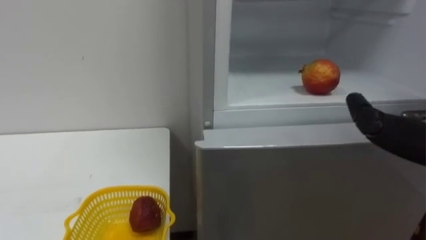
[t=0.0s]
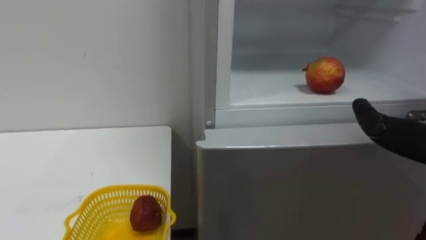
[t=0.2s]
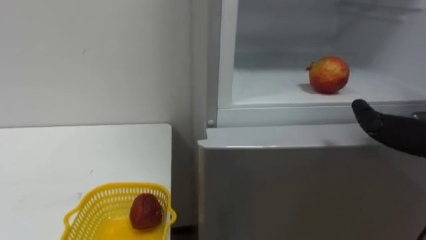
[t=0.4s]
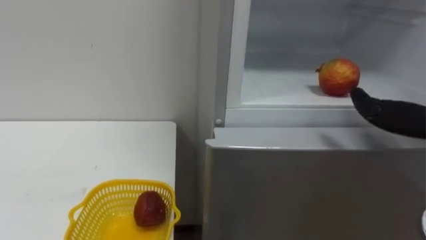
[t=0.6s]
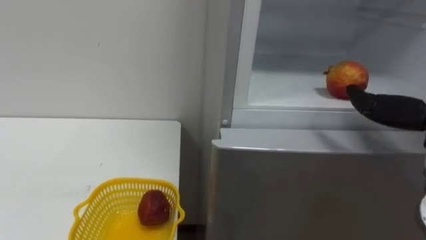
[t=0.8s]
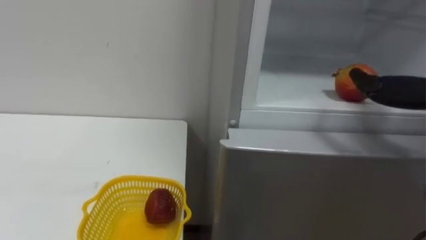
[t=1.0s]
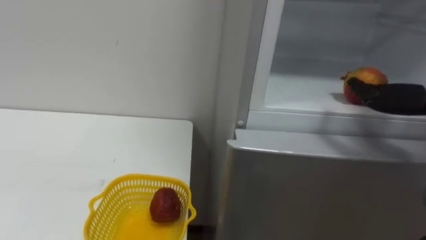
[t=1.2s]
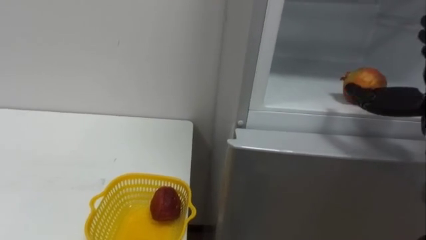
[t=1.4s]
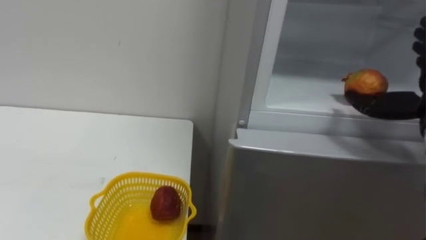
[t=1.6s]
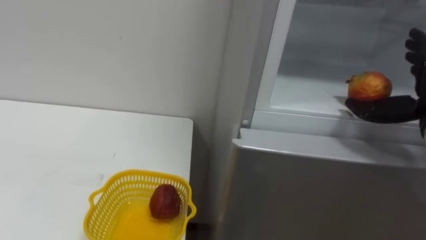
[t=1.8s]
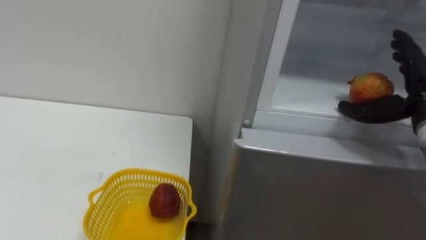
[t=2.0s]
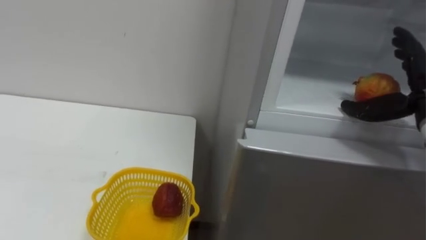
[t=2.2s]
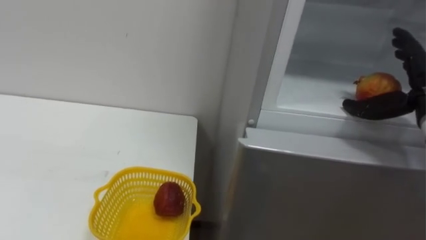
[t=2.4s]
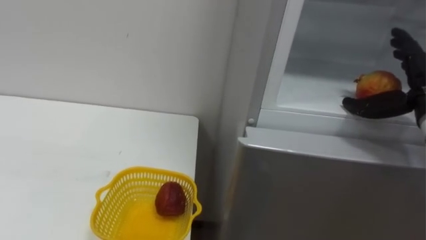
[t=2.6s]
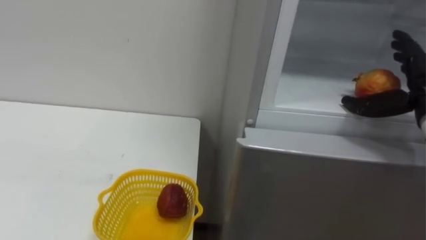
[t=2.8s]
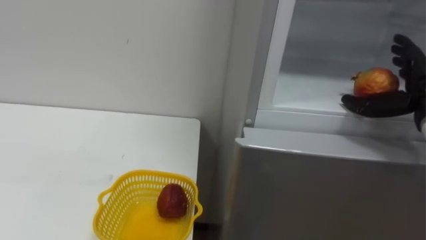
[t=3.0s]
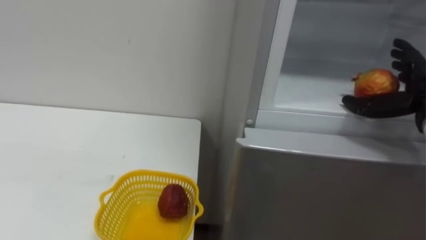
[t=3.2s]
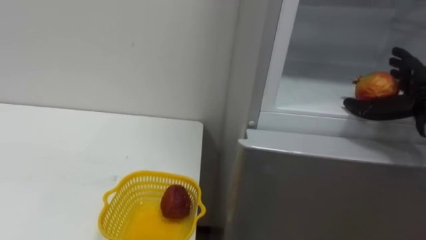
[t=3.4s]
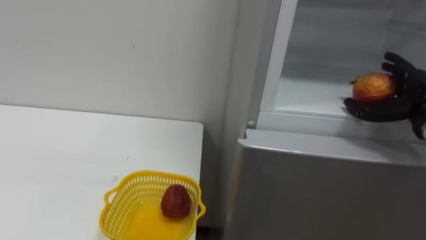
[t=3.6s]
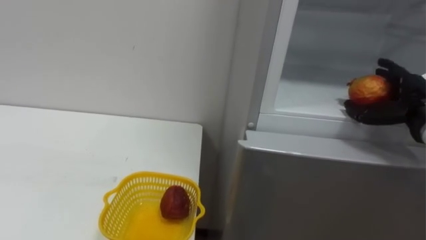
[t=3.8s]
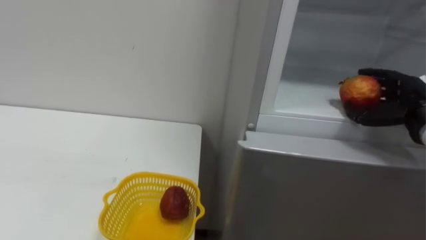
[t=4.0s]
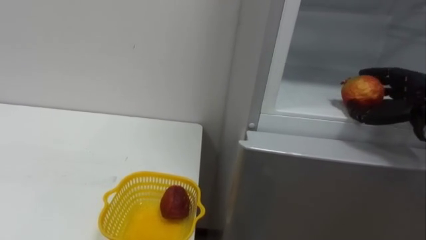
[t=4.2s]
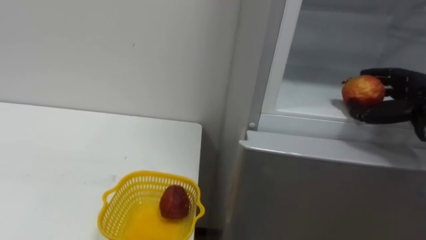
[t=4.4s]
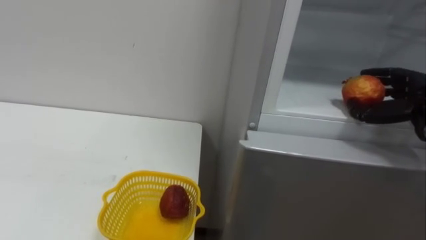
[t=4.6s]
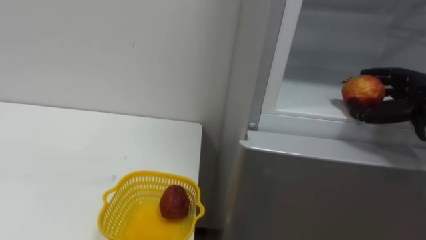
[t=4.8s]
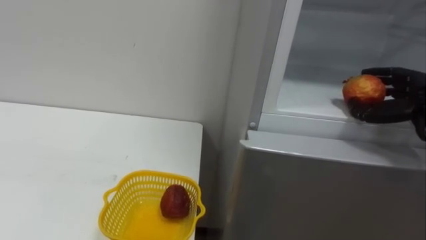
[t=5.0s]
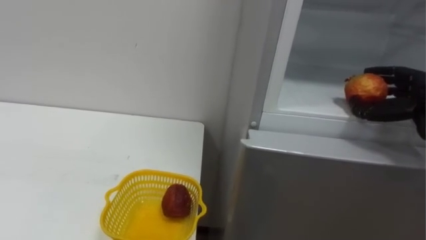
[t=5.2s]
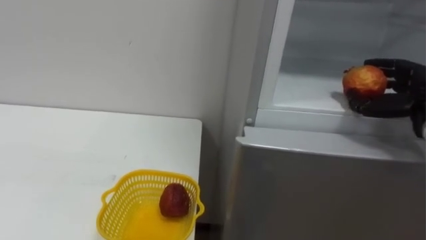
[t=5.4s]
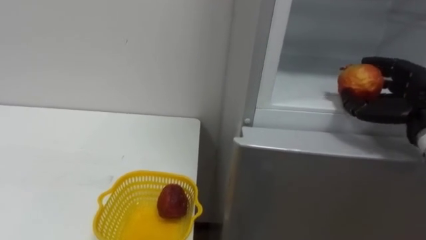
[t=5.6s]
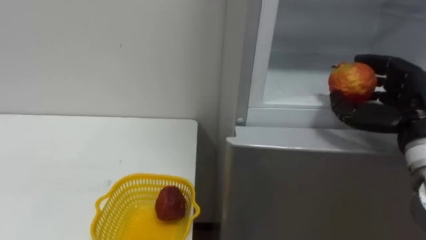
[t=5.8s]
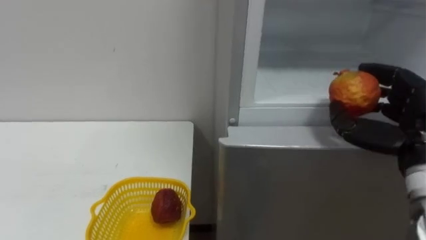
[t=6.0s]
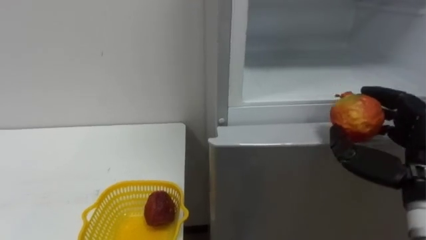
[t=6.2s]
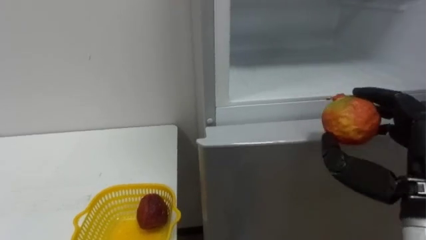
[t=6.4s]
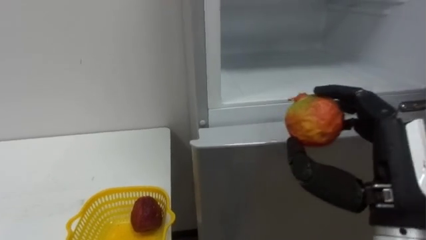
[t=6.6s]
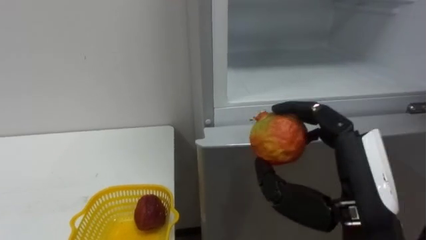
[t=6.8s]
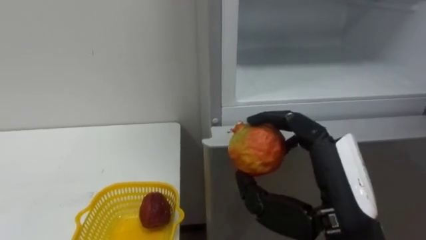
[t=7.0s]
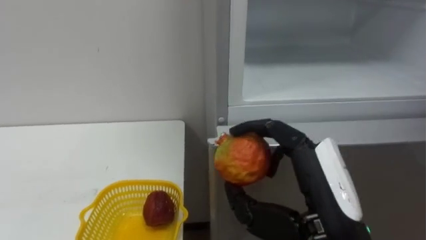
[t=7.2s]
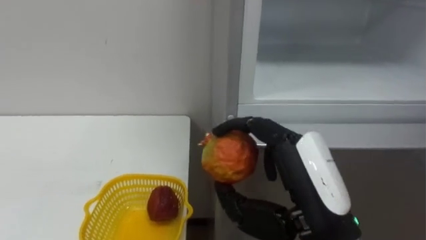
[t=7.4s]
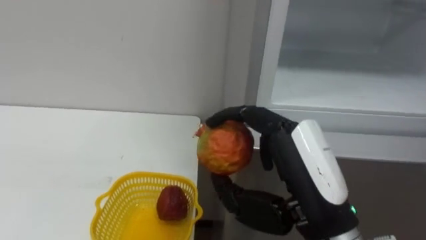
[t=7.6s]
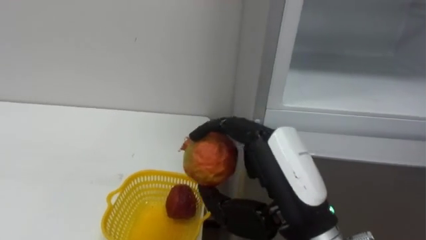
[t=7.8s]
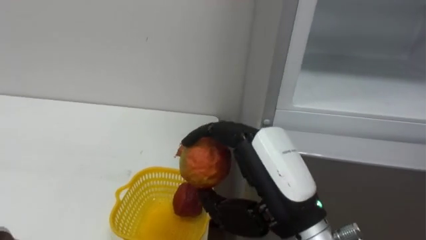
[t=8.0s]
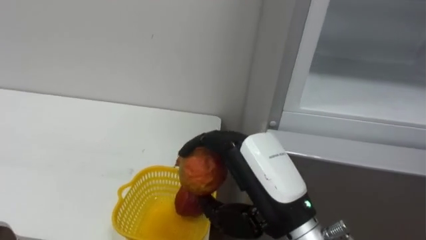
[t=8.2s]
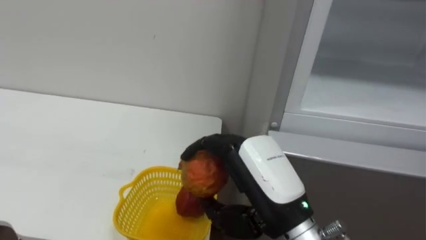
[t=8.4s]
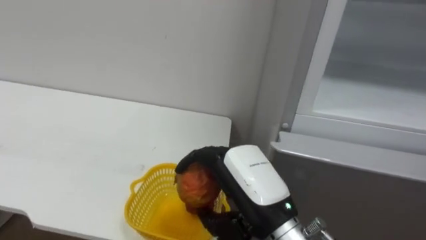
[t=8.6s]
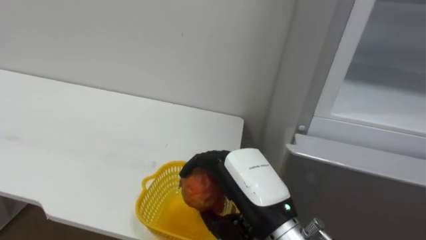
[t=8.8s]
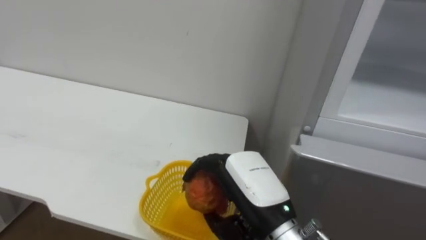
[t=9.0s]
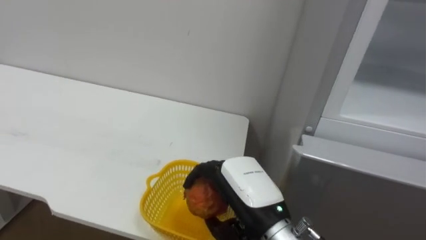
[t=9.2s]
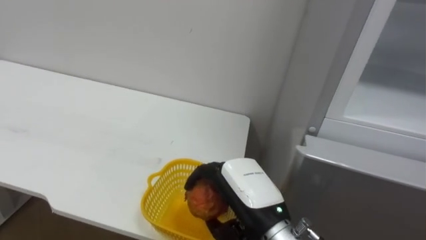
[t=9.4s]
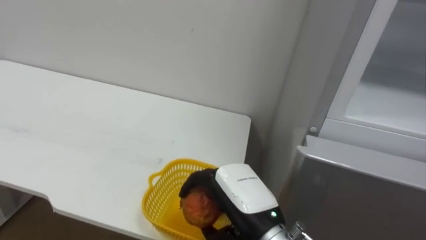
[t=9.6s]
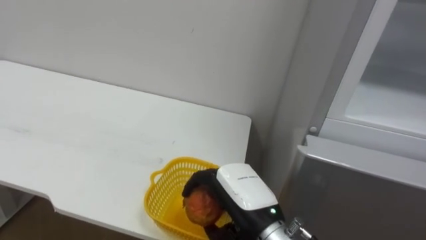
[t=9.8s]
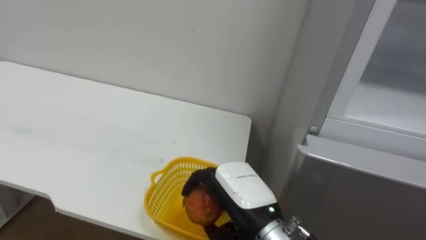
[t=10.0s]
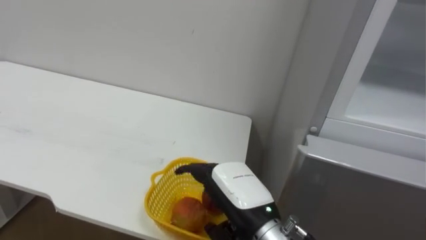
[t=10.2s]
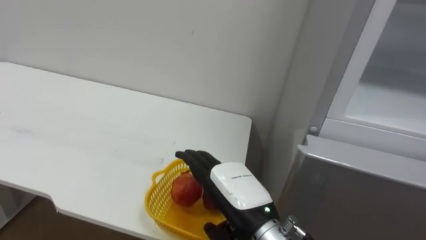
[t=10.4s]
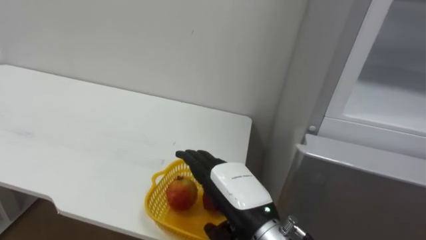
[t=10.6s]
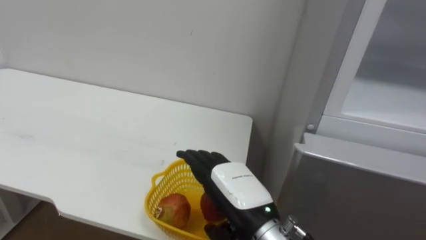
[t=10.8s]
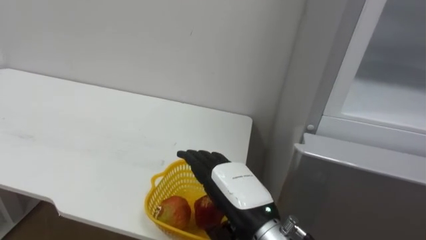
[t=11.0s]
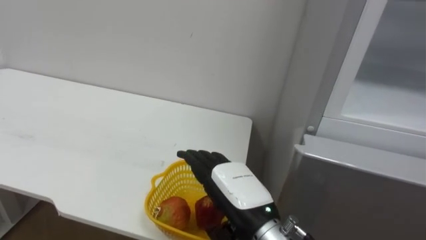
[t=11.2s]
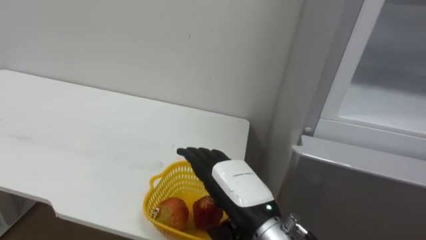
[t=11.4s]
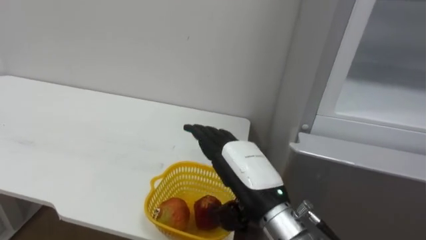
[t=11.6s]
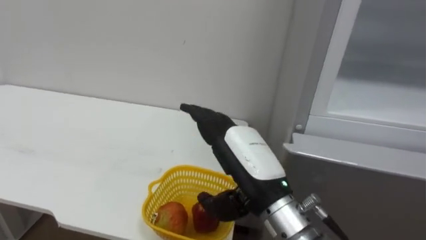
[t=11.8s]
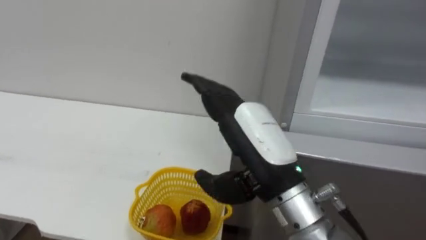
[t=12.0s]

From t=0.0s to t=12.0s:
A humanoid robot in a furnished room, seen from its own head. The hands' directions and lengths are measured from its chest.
Task of the whole recording: Open the refrigerator door, take out the apple and the pomegranate, place them in the fruit basket on the left, and close the refrigerator door.
From t=3.0s to t=4.4s: The right hand closes its fingers.
From t=4.4s to t=6.0s: The right hand moves backward and to the left, some 10 cm.
From t=6.0s to t=7.6s: The right hand is displaced to the left and backward by about 20 cm.
From t=7.6s to t=9.0s: The right hand shifts approximately 10 cm downward and to the left.
From t=9.0s to t=10.4s: The right hand opens.
From t=10.4s to t=12.0s: The right hand moves upward, approximately 10 cm.

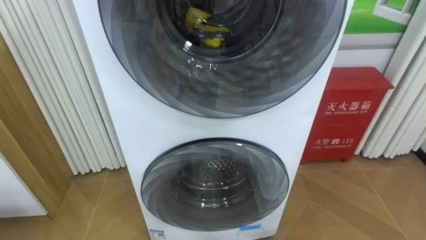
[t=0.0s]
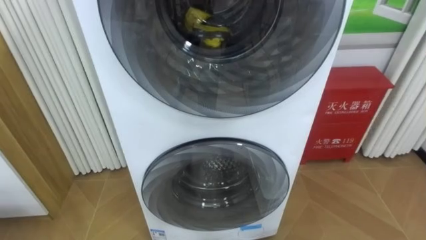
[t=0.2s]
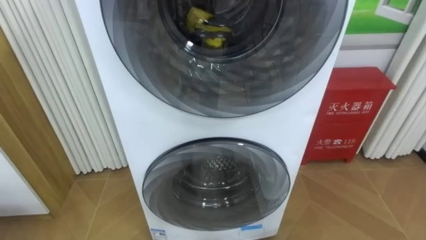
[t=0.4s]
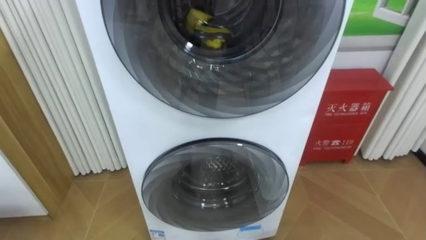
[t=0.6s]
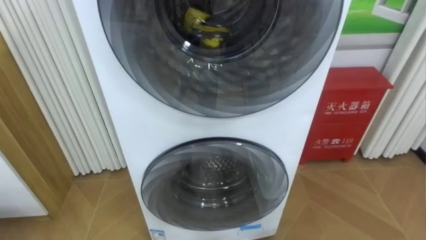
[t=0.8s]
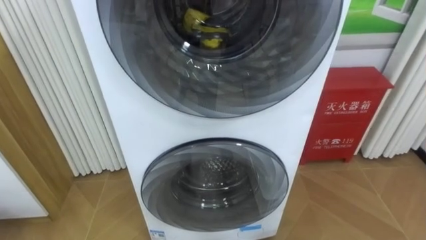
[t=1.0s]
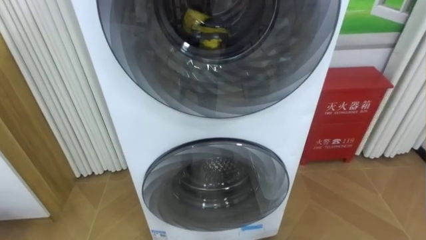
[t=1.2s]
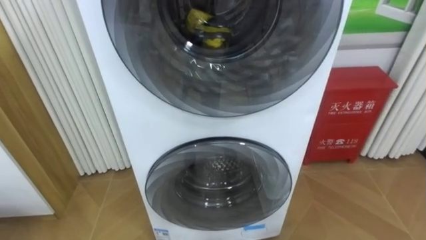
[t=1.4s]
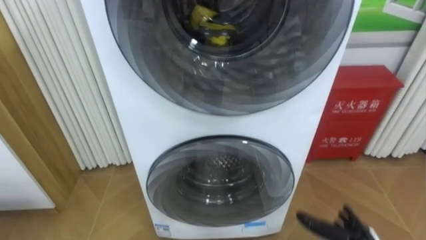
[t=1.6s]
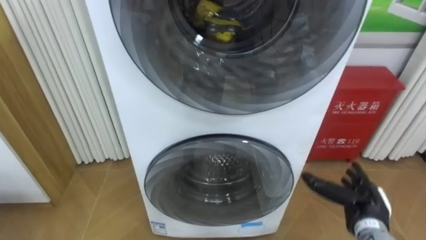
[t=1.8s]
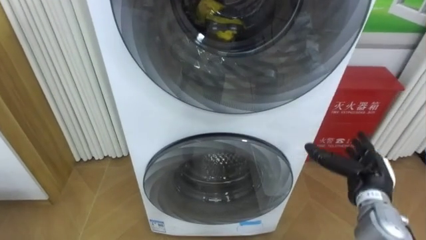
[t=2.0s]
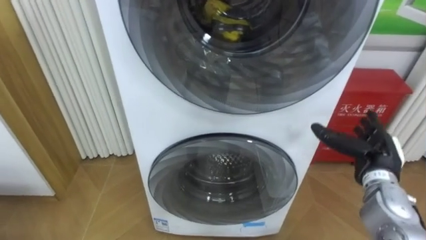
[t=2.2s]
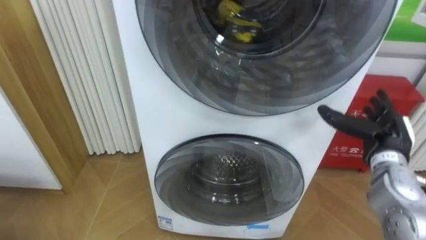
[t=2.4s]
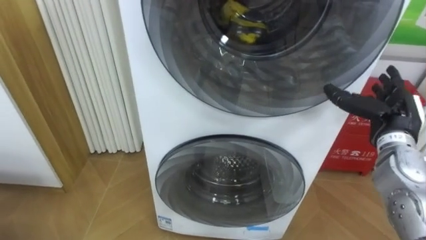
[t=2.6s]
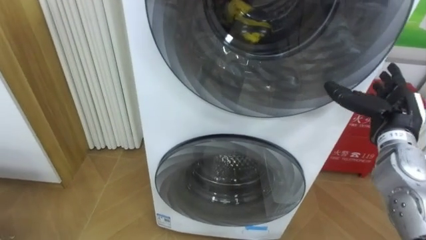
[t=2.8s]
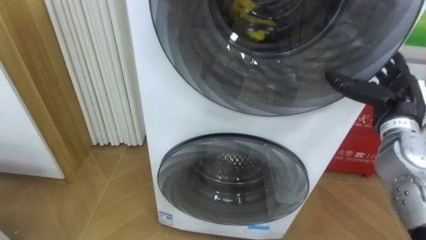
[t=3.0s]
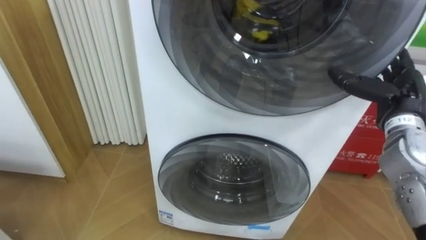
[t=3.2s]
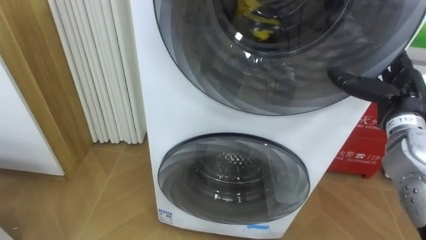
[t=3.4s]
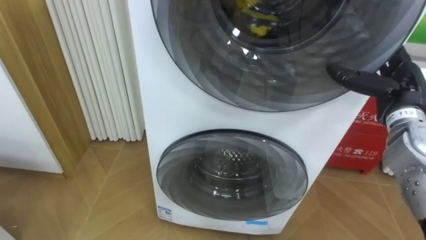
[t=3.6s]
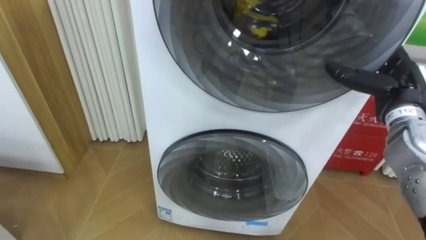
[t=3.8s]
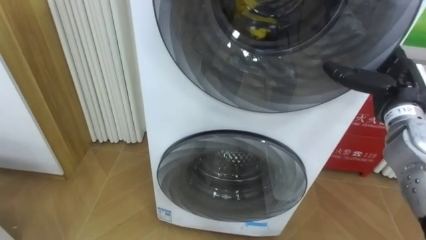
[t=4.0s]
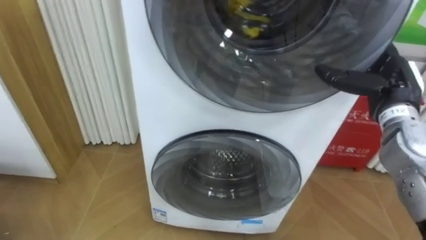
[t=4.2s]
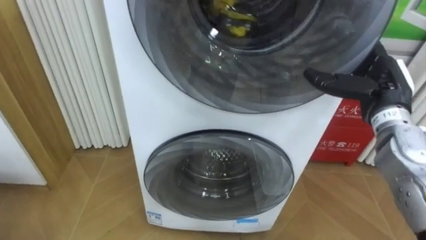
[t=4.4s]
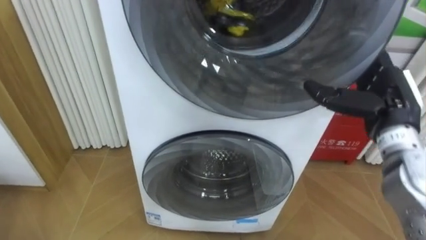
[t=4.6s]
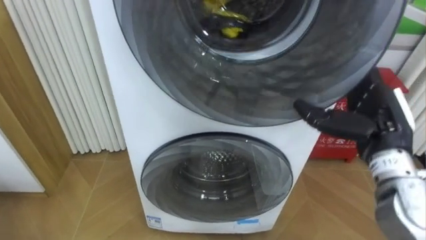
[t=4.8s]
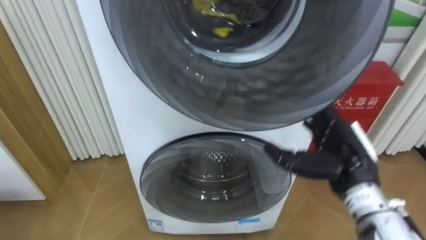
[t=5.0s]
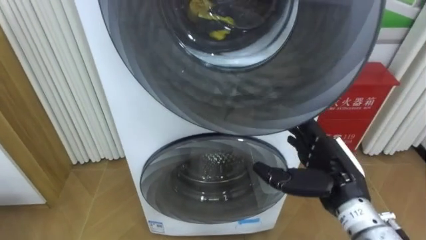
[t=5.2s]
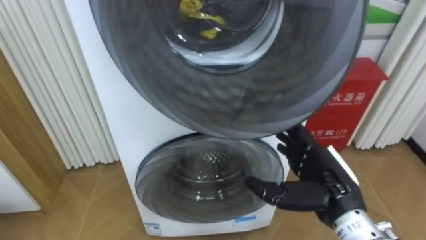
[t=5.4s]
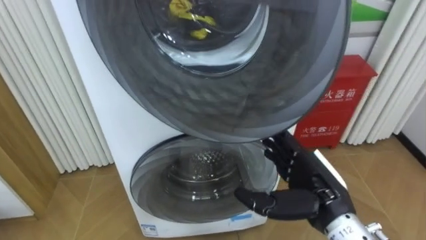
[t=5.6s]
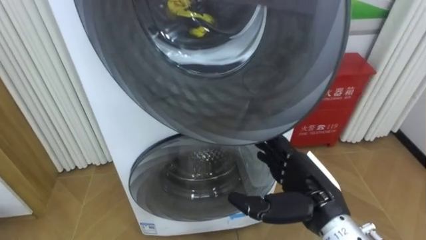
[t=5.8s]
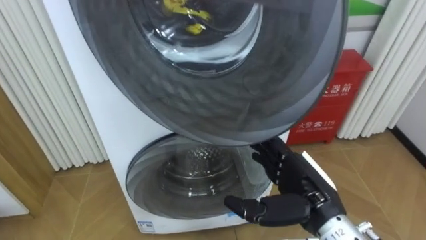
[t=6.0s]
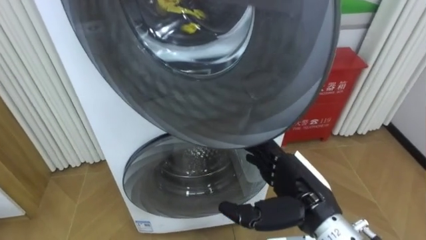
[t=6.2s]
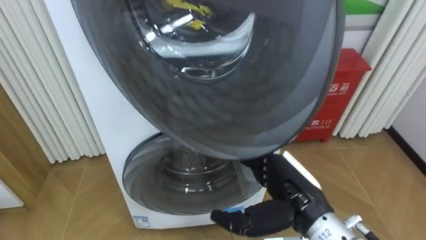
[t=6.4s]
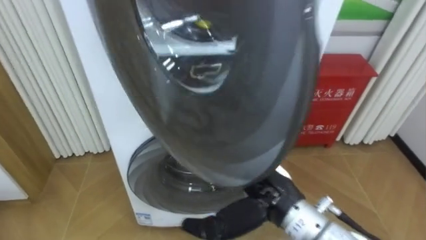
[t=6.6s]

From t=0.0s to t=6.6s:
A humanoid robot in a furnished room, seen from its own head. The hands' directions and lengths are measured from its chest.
Task of the whole recording: Open the washing machine door, take out the yellow clothes, place them in the box on the right, and close the washing machine door.
From t=3.2s to t=5.0s: The right hand travels to the left and backward by approximately 10 cm.
From t=5.0s to t=6.6s: The right hand travels to the left by about 15 cm.
